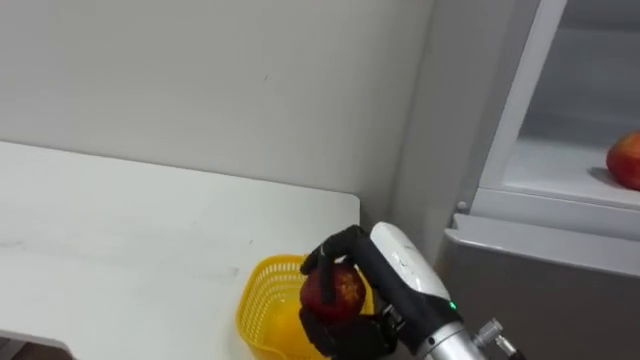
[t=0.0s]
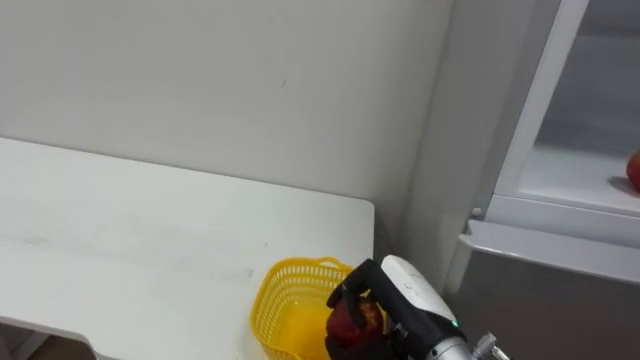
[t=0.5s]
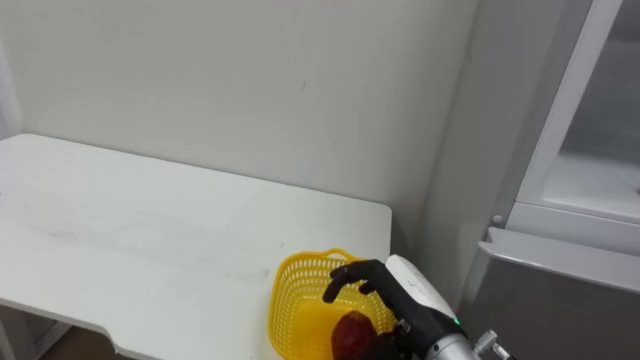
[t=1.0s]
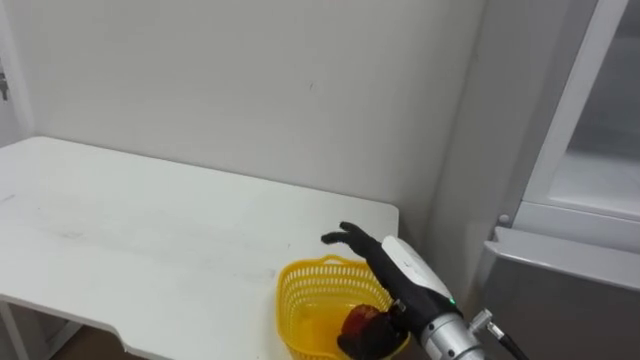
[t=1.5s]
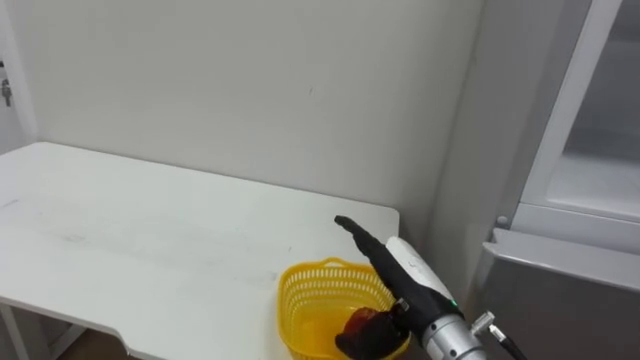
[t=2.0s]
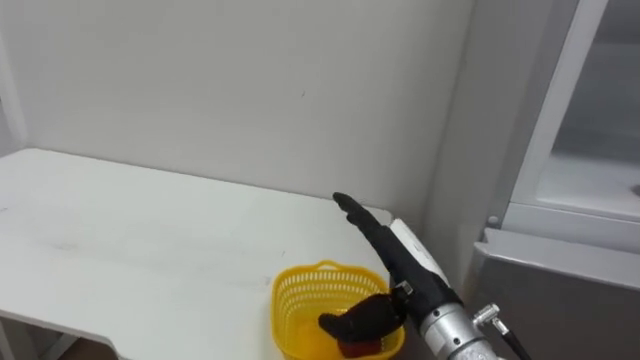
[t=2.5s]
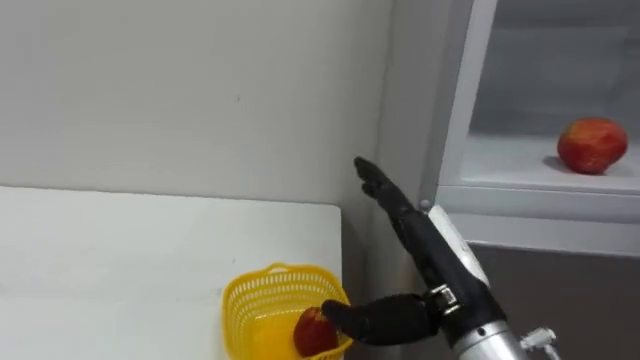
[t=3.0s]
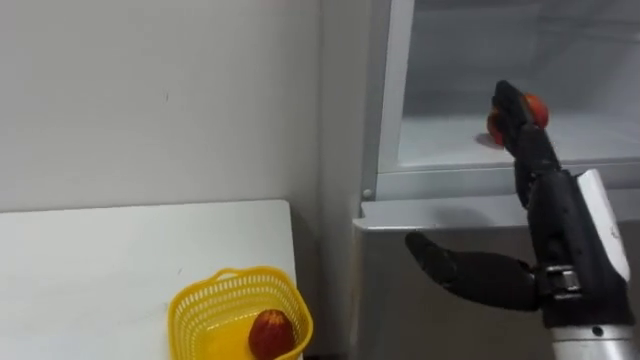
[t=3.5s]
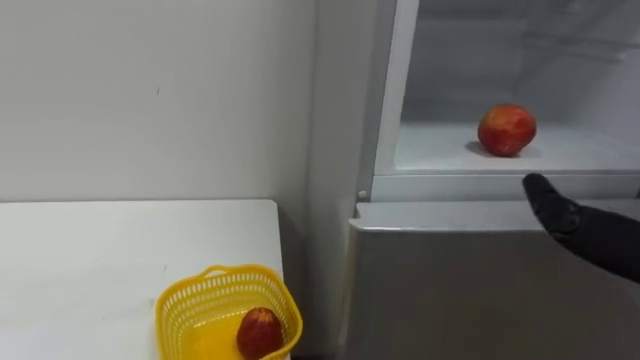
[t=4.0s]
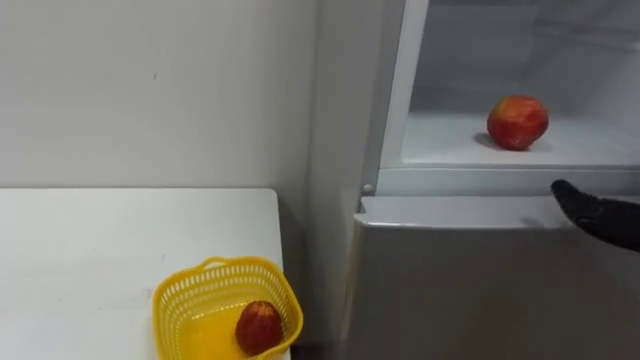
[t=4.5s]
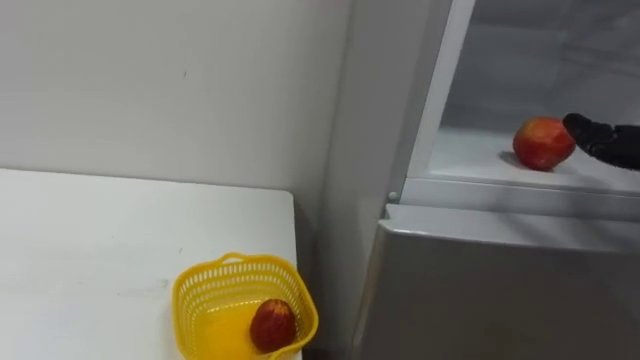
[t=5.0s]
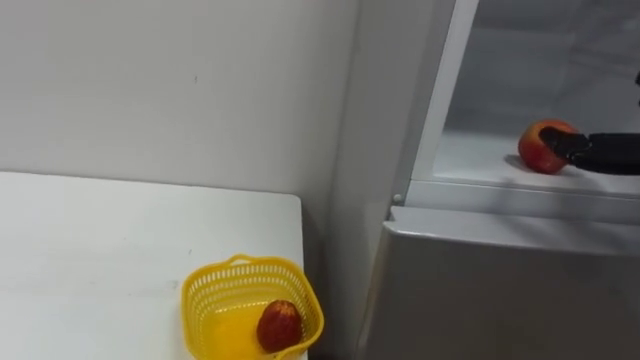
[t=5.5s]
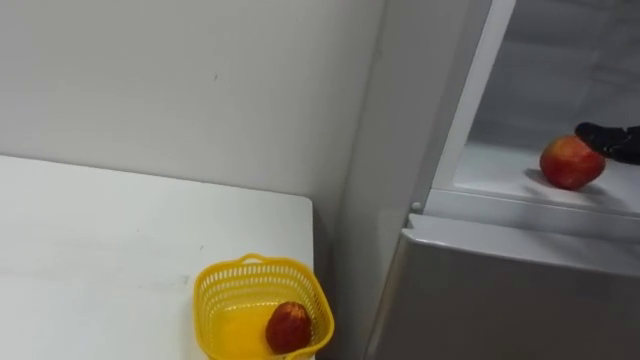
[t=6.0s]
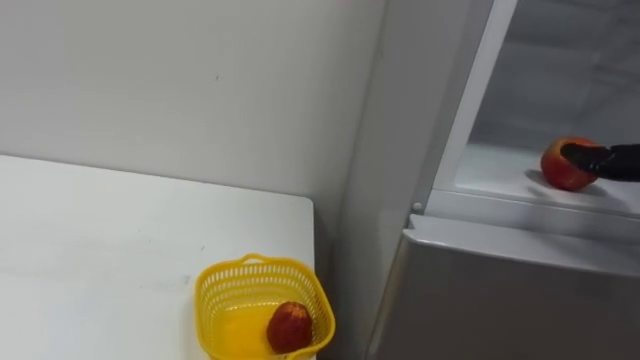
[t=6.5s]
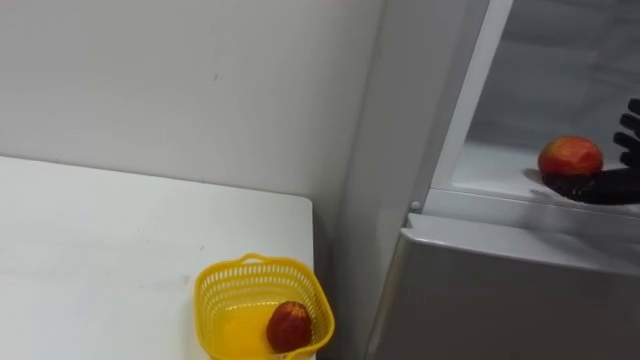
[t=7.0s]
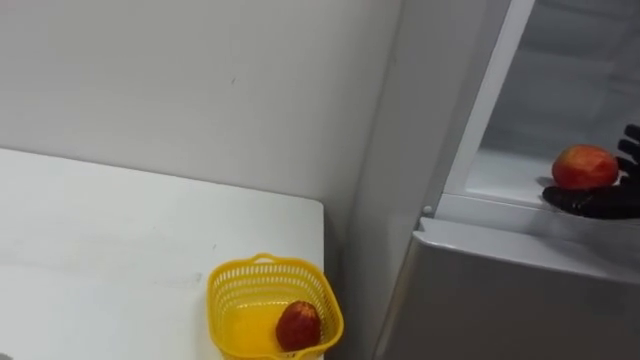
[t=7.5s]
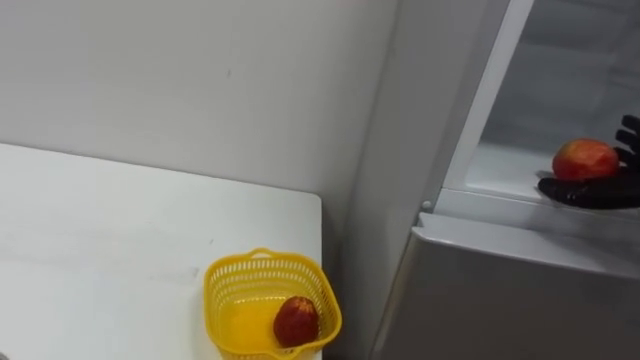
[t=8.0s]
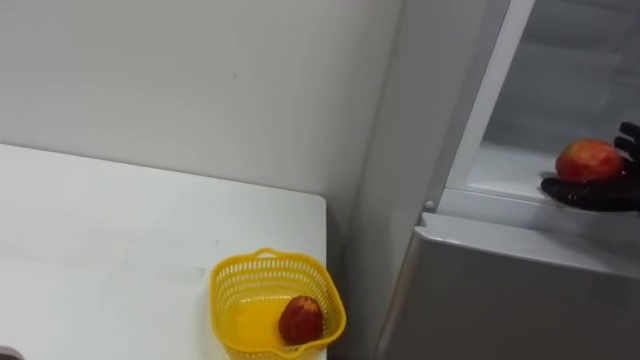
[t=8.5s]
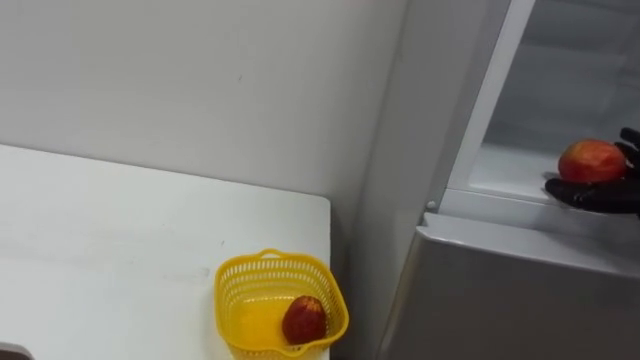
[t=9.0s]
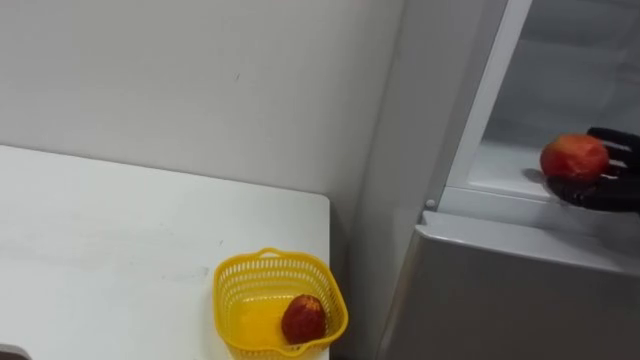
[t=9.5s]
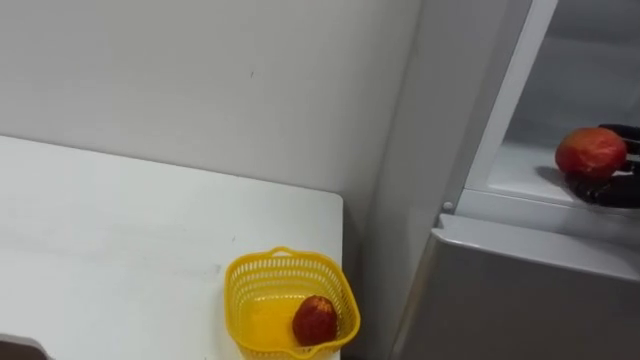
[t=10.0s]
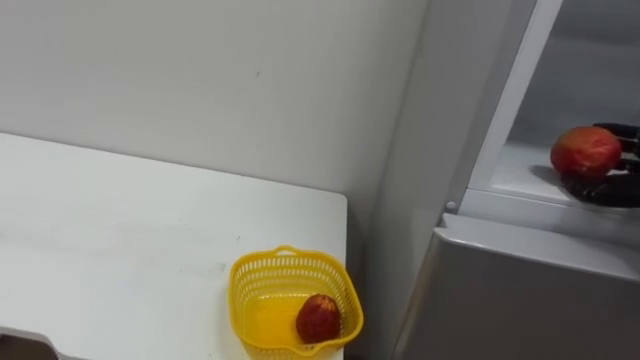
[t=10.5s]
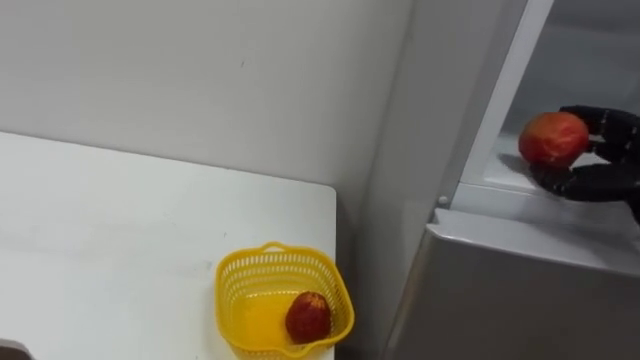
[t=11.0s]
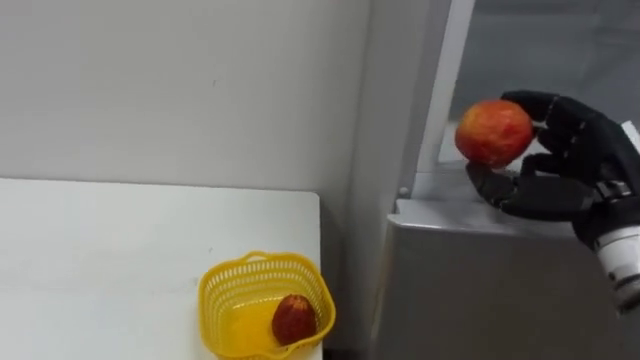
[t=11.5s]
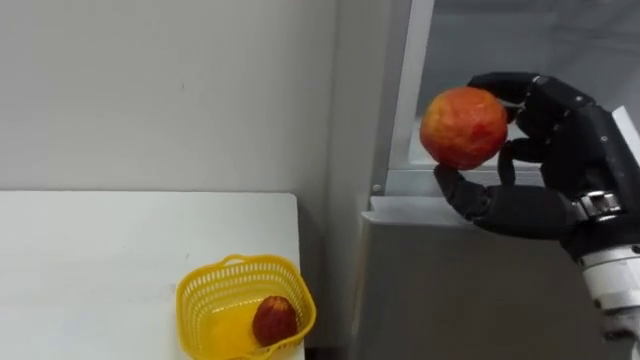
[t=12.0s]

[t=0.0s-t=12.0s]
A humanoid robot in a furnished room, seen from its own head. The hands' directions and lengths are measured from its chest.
Task of the whole recording: Open the refrigerator door, take out the apple and the pomegranate, place them in the fruit basket on the left, and close the refrigerator door.
t=0.0s to t=2.0s: The right hand goes some 5 cm downward, and opens up.

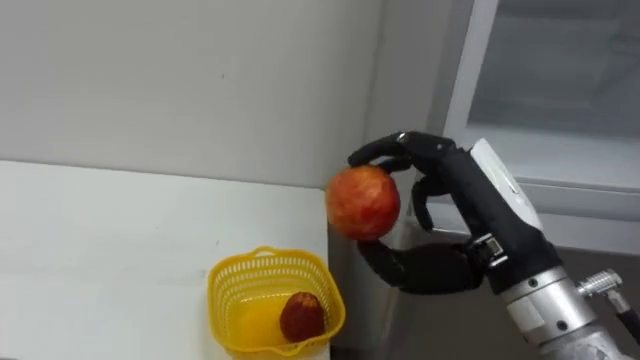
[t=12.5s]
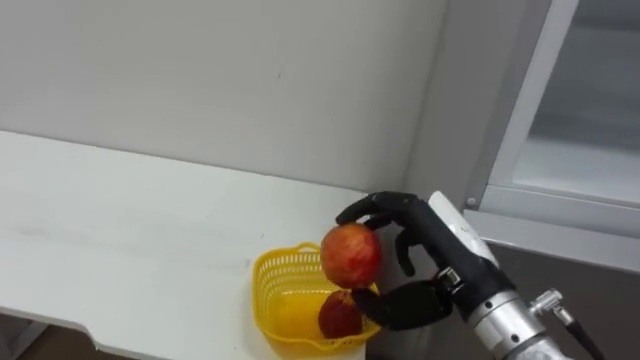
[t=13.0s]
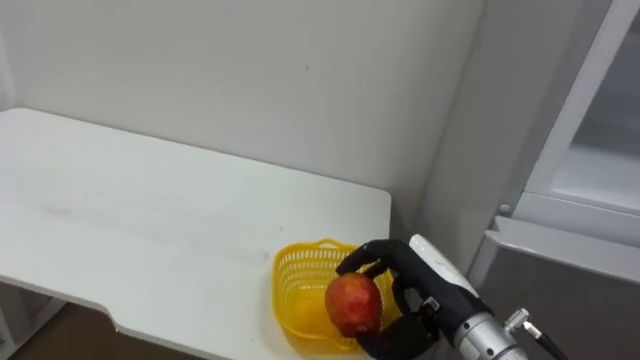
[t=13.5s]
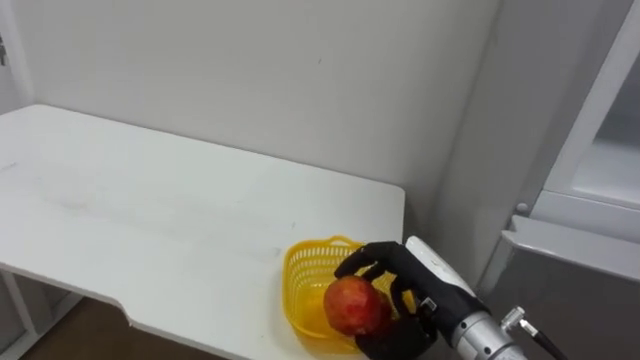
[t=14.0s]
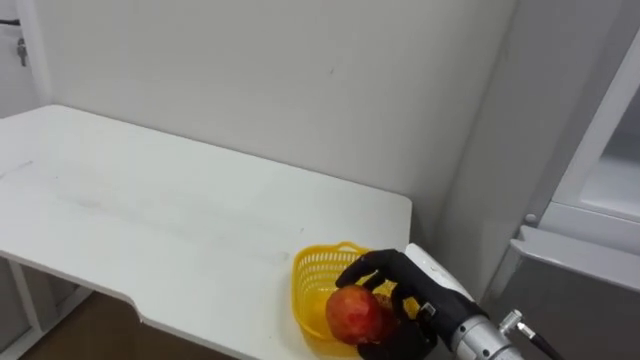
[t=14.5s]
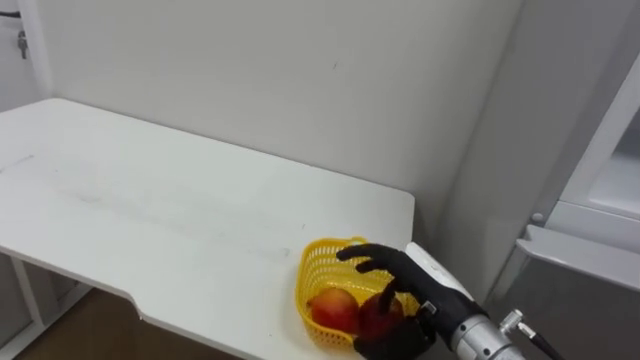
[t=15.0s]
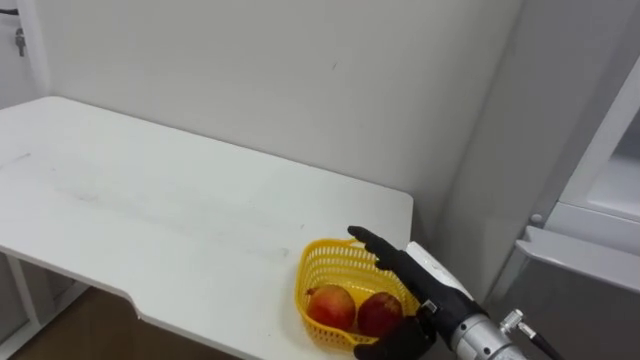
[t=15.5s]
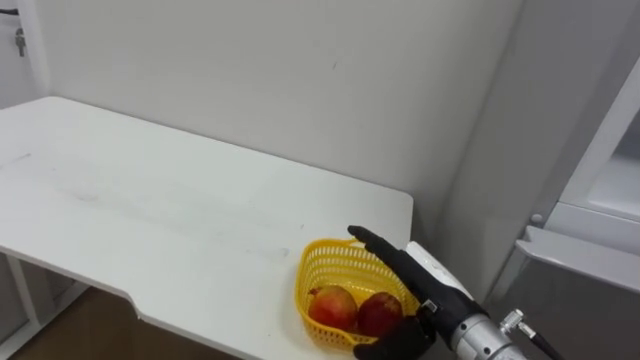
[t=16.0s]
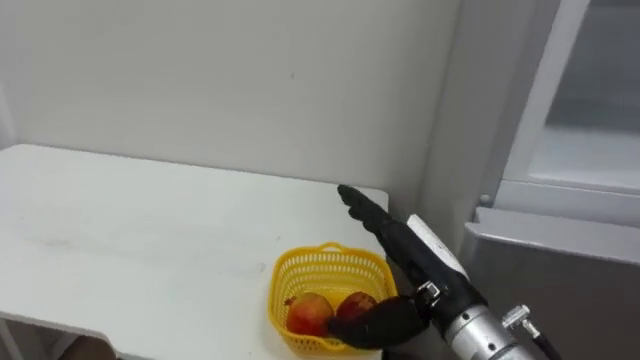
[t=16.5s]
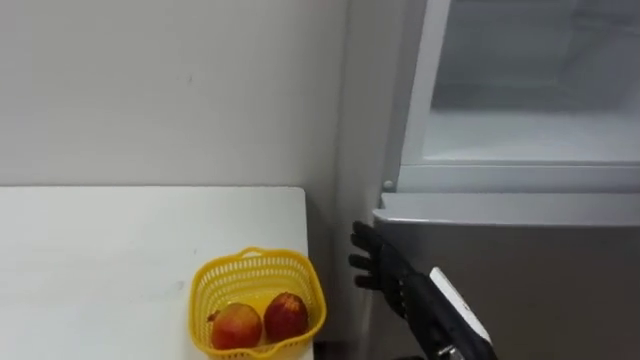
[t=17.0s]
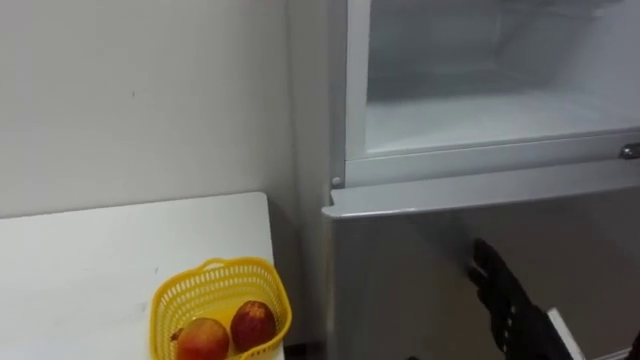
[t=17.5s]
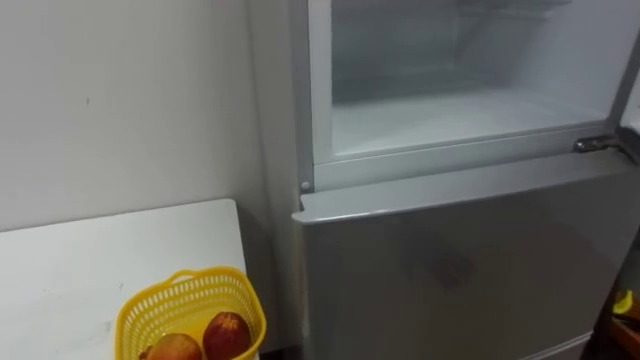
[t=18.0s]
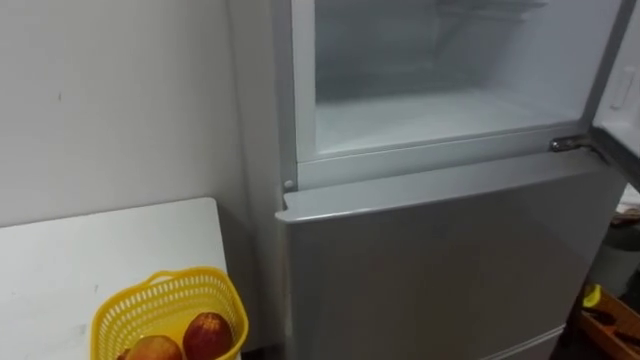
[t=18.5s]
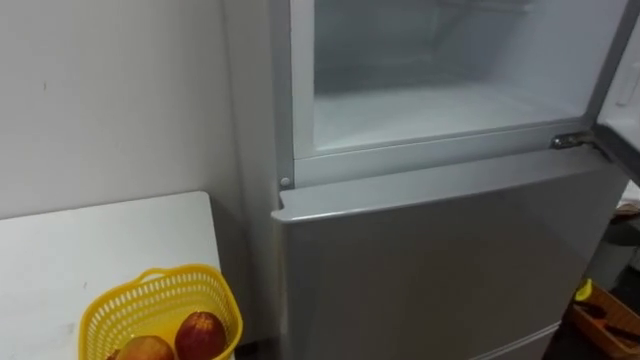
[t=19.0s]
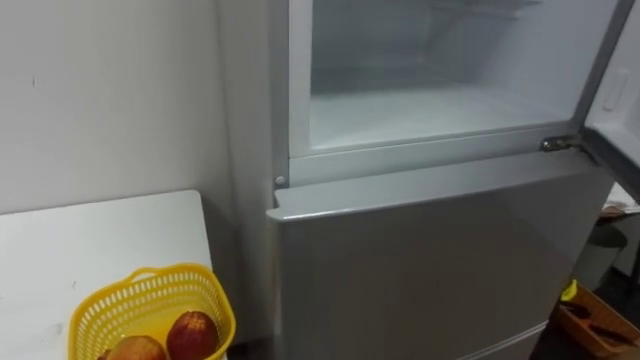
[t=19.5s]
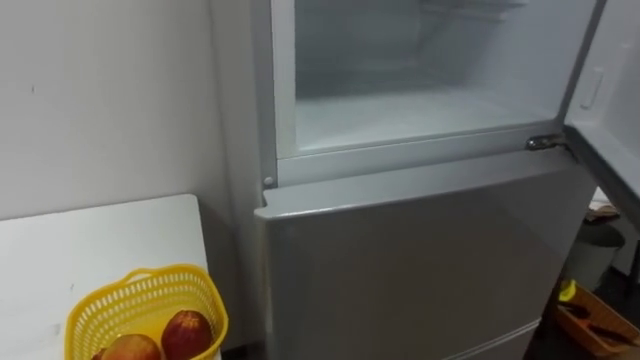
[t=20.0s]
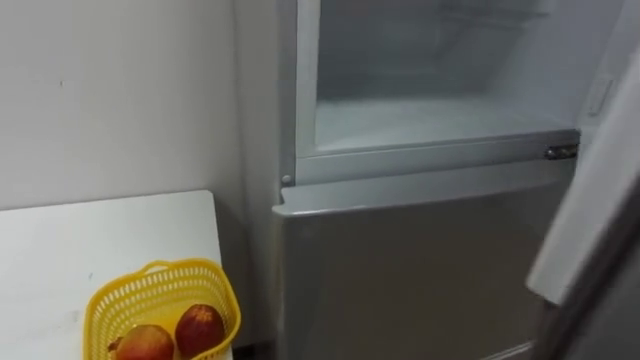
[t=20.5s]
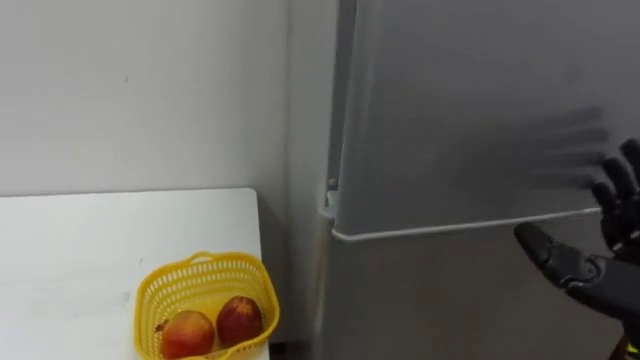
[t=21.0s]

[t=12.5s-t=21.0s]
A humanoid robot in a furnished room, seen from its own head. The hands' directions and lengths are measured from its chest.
Task of the whole recording: Open the refrigerator door, take out the apple and the pomegranate, place them in the fruit basket on the left, and close the refrigerator door.
t=12.5s to t=14.5s: The right hand shifts roughly 15 cm downward.
t=14.5s to t=16.5s: The right hand heads upward, covering some 5 cm, and opens.
